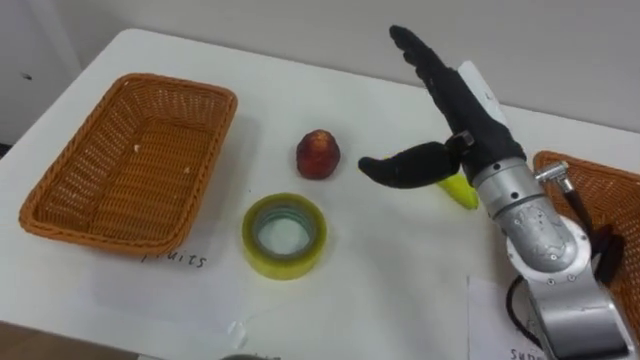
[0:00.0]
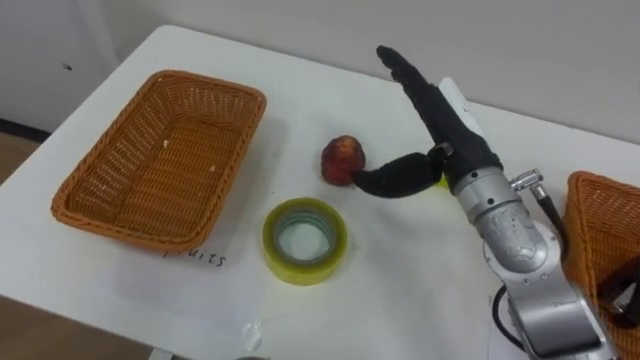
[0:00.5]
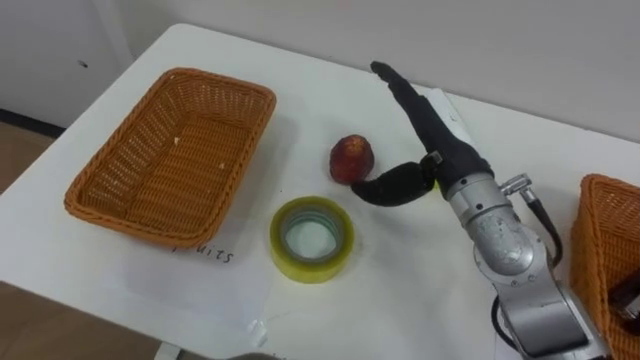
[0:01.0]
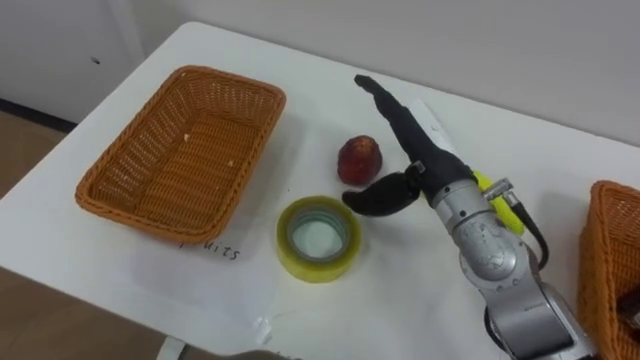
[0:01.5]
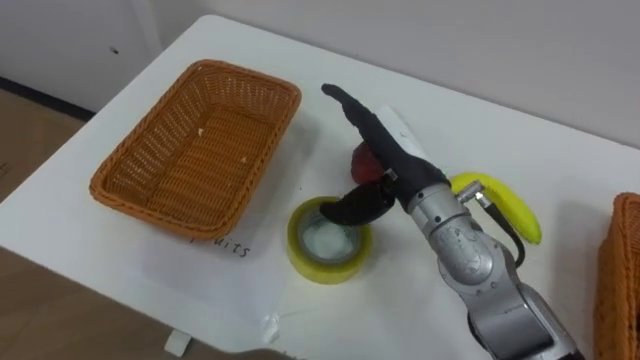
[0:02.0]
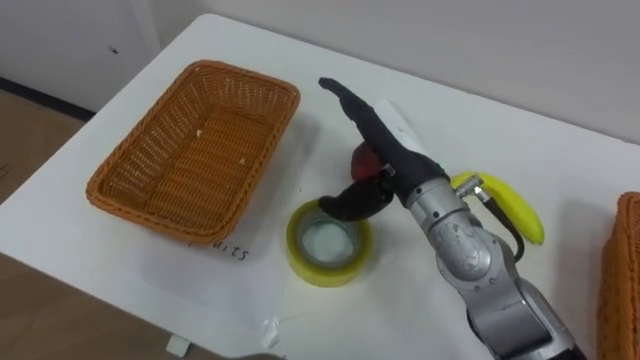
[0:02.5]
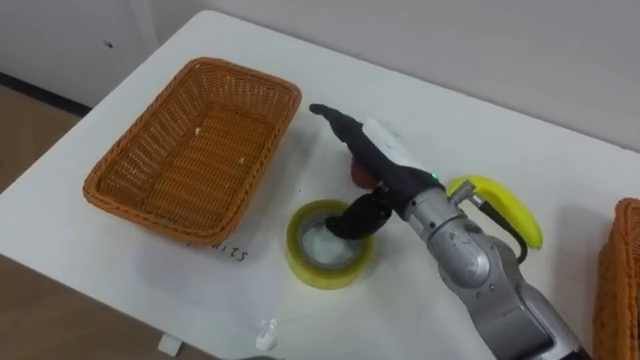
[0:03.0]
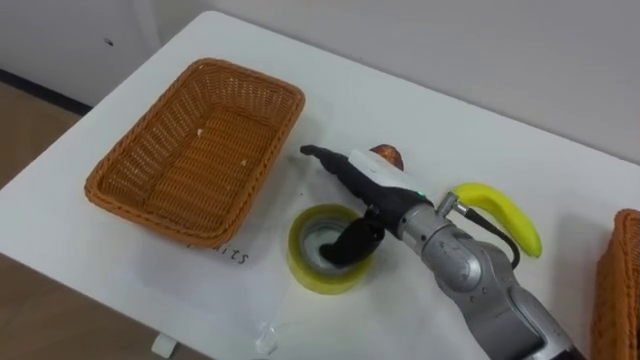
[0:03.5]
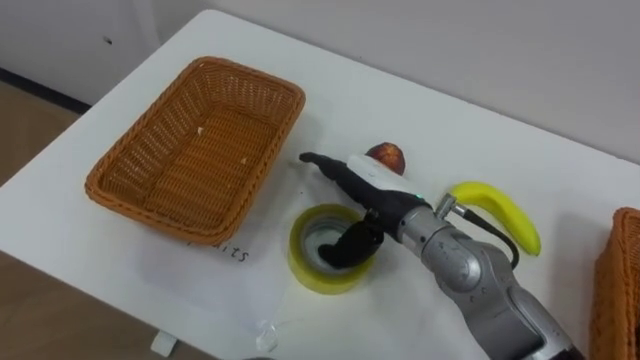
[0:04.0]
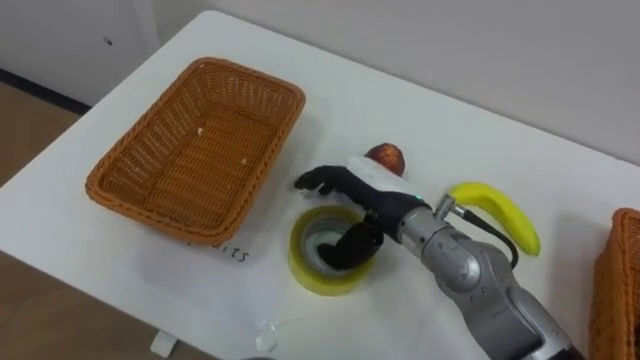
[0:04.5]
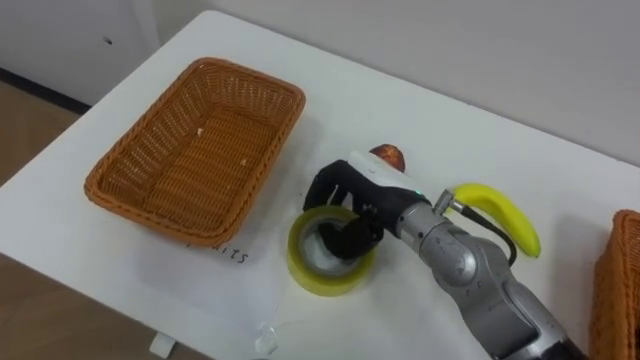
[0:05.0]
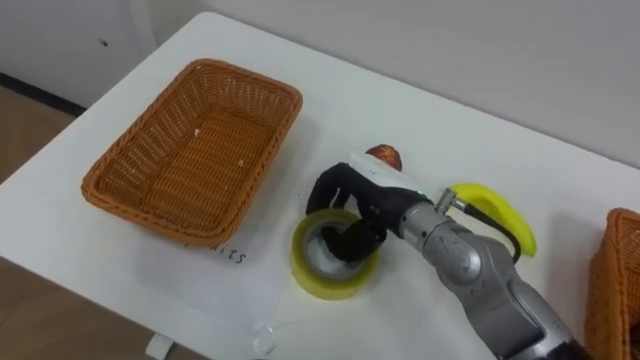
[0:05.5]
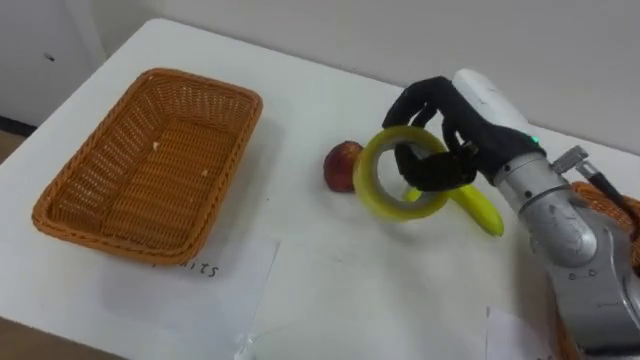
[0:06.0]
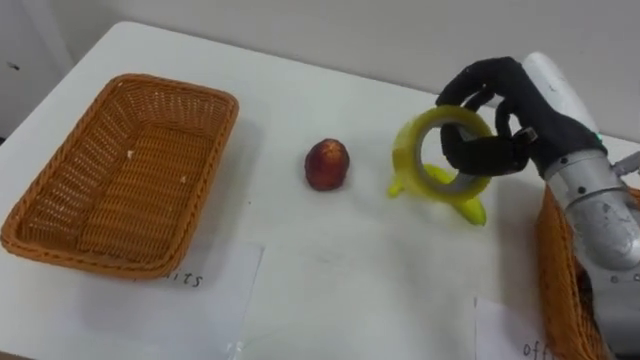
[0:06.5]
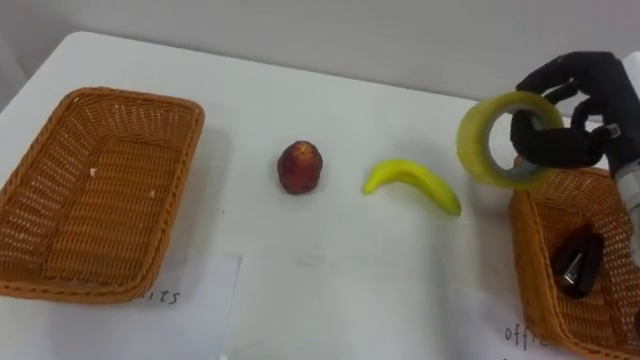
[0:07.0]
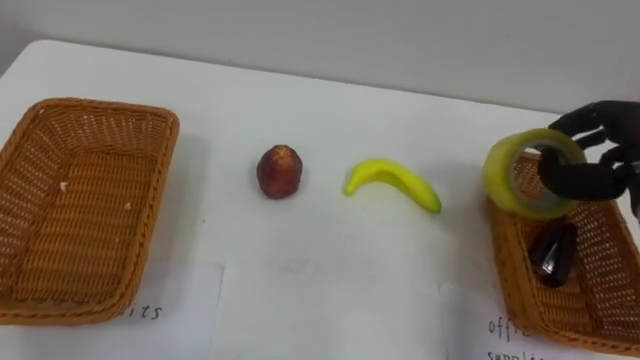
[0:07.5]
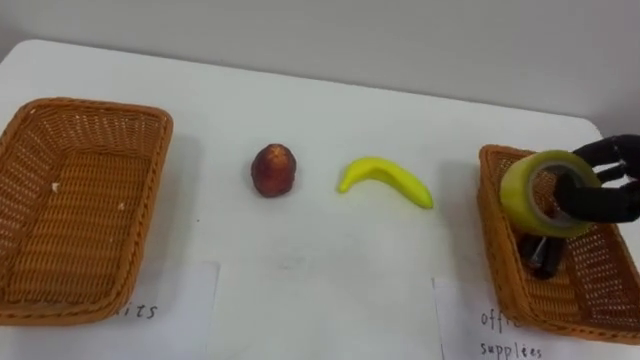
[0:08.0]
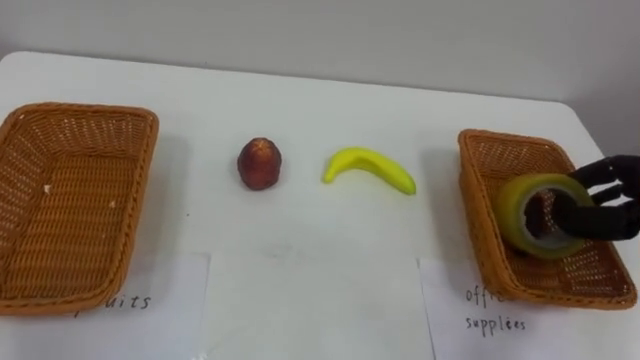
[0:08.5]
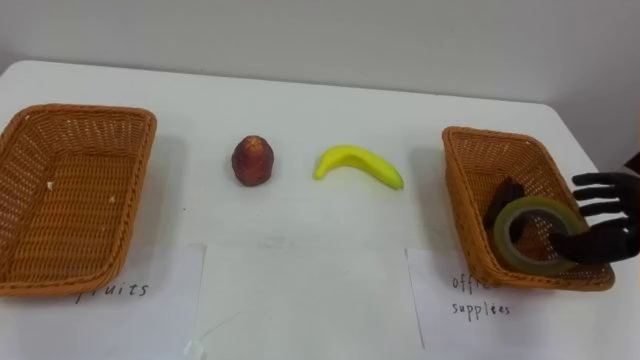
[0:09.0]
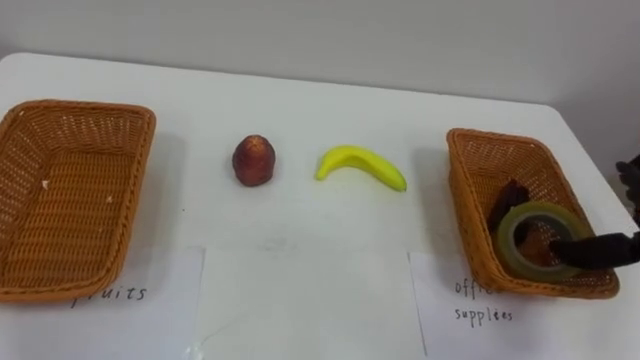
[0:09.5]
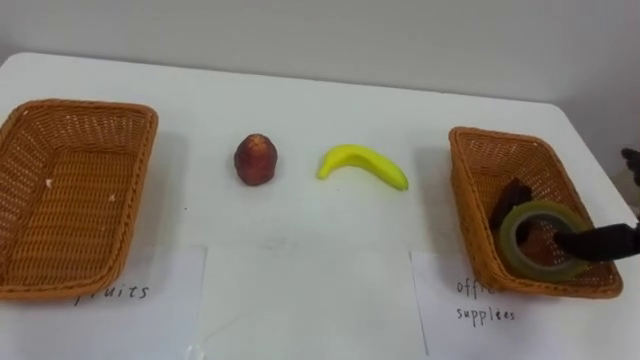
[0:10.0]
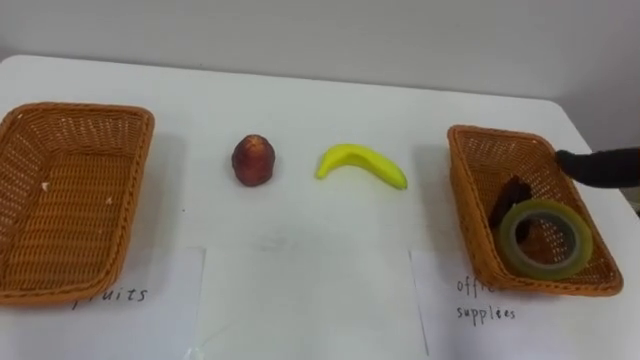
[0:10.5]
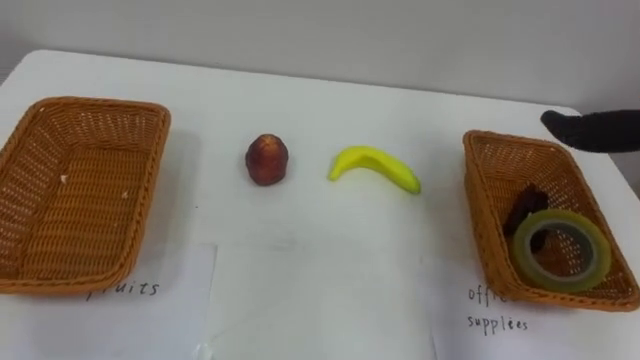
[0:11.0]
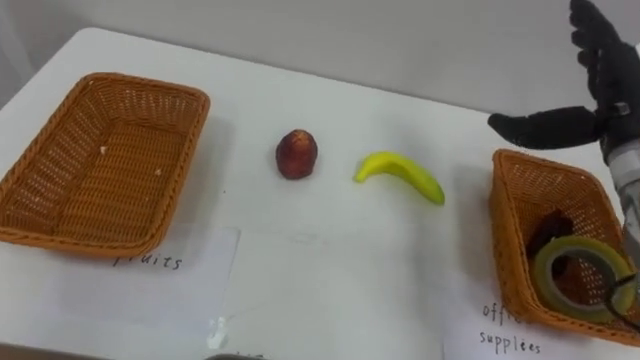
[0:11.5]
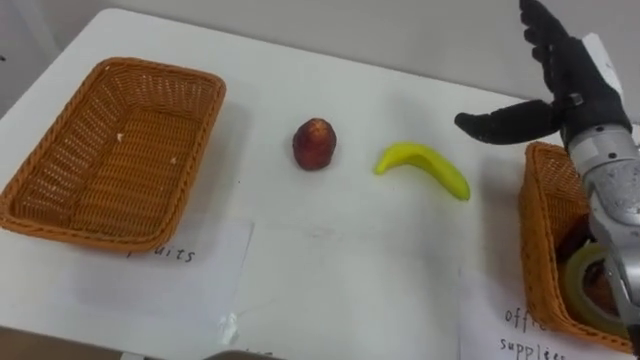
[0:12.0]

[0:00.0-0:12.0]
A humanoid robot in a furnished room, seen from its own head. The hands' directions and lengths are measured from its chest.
Task of the whole recording: Separate the items on the table and place them into the two baskets.
0:00.0 to 0:02.0: The right hand shifts some 10 cm to the left and downward.
0:02.0 to 0:04.0: The right hand moves downward, some 5 cm.
0:04.0 to 0:06.0: The right hand heads to the right and upward, covering about 15 cm, and closes its fingers.

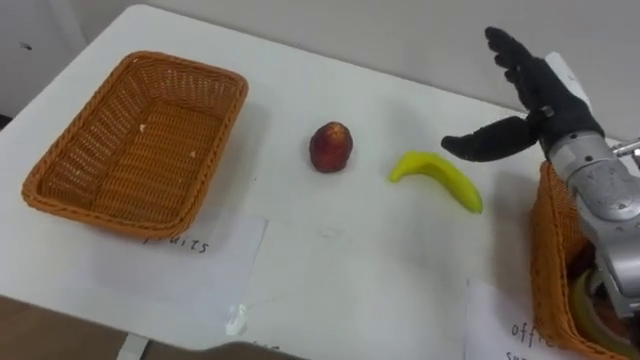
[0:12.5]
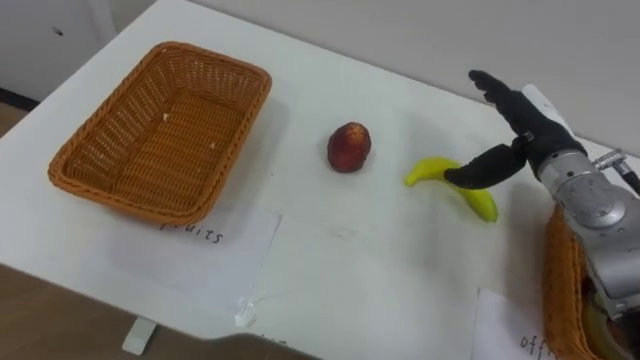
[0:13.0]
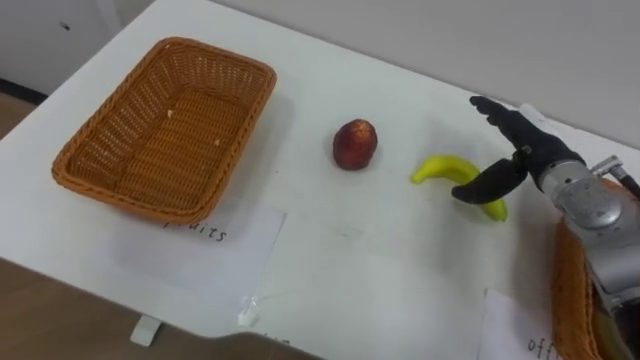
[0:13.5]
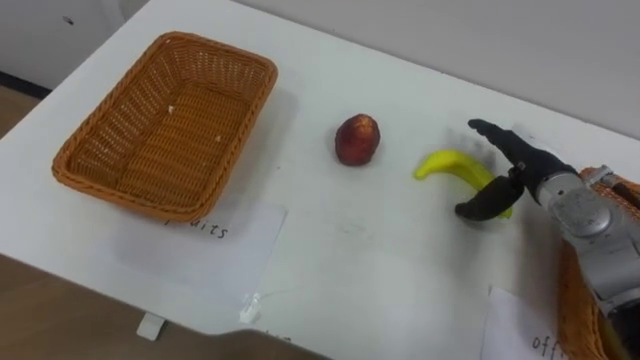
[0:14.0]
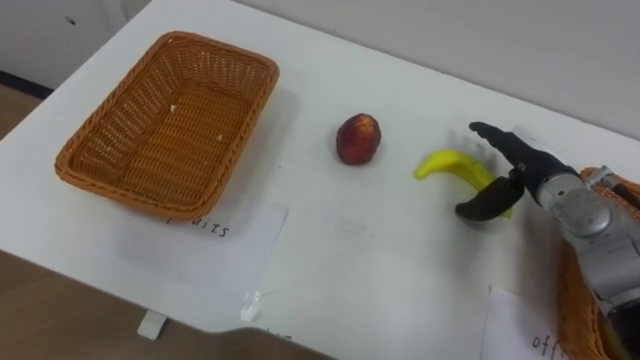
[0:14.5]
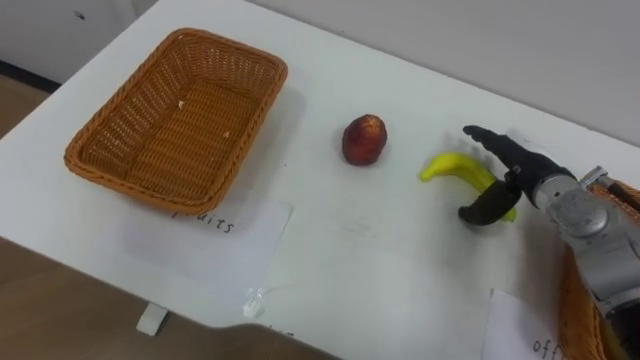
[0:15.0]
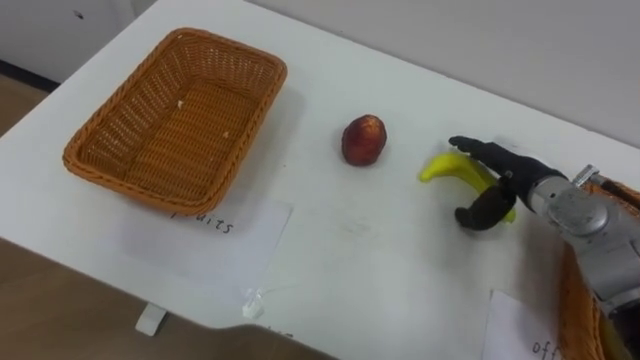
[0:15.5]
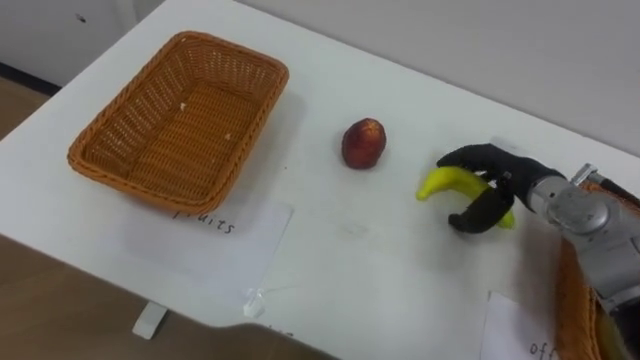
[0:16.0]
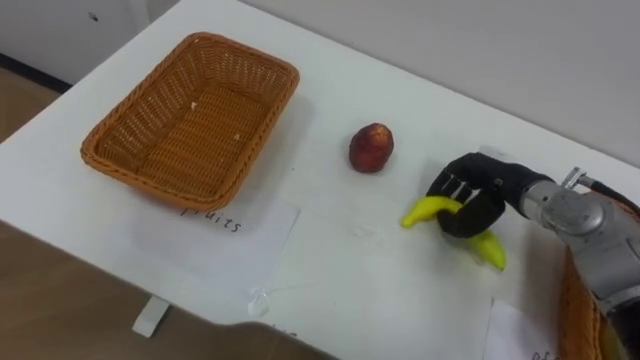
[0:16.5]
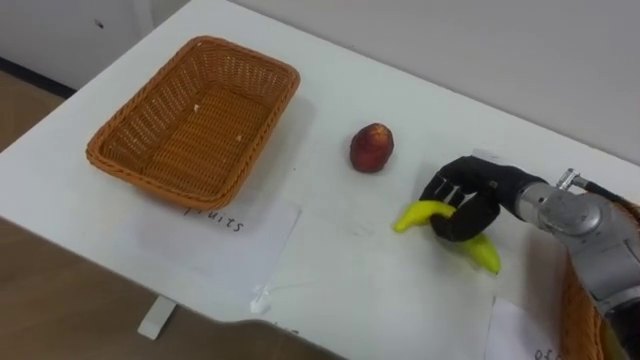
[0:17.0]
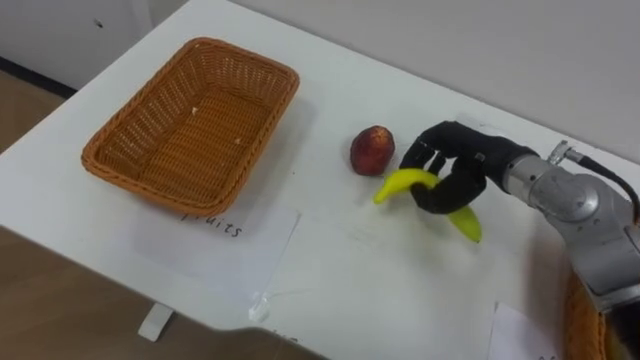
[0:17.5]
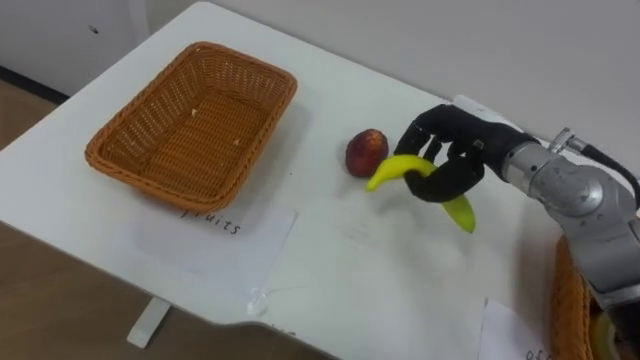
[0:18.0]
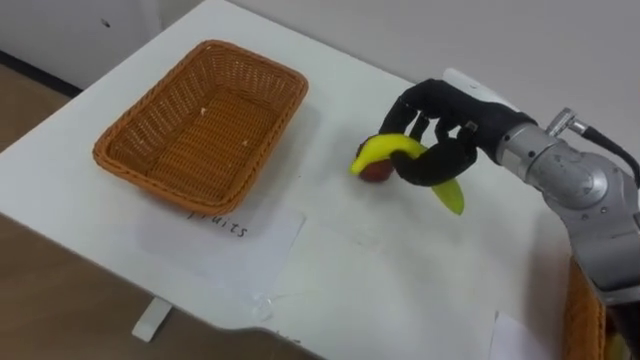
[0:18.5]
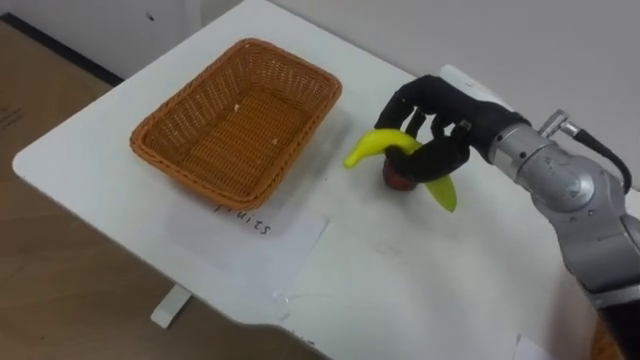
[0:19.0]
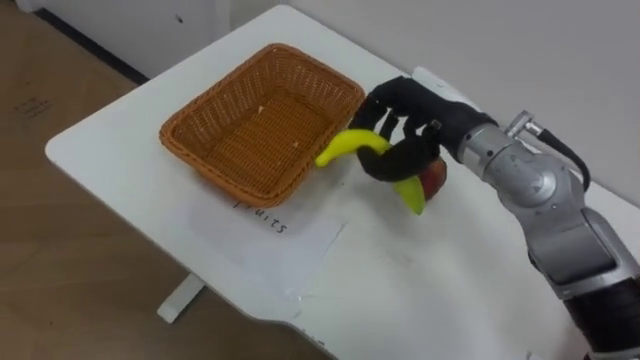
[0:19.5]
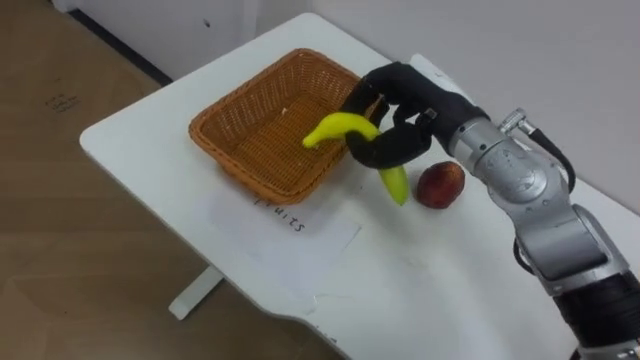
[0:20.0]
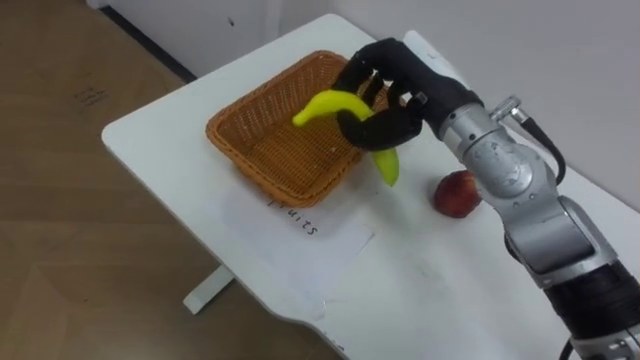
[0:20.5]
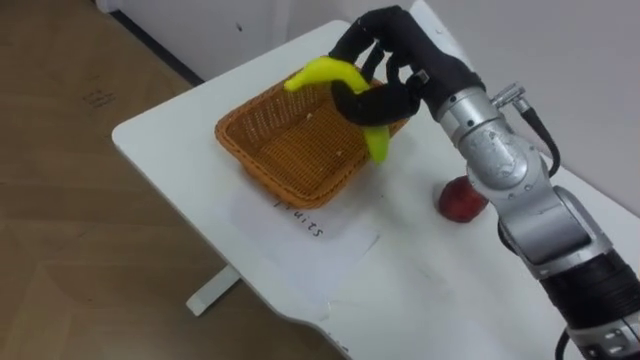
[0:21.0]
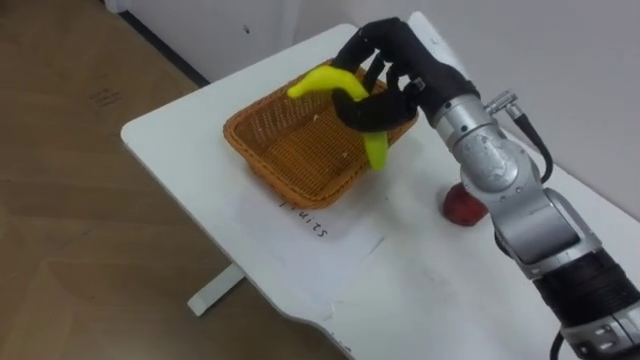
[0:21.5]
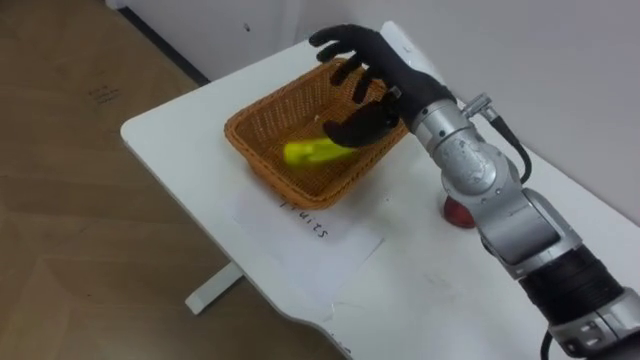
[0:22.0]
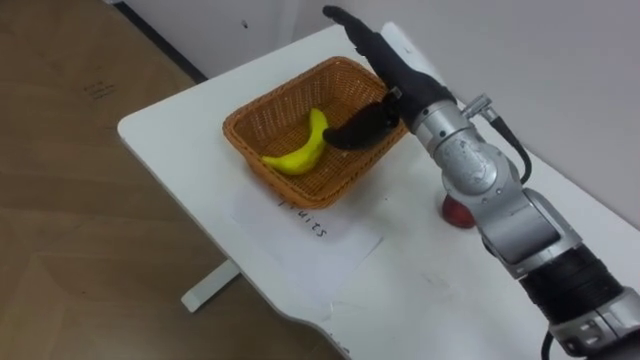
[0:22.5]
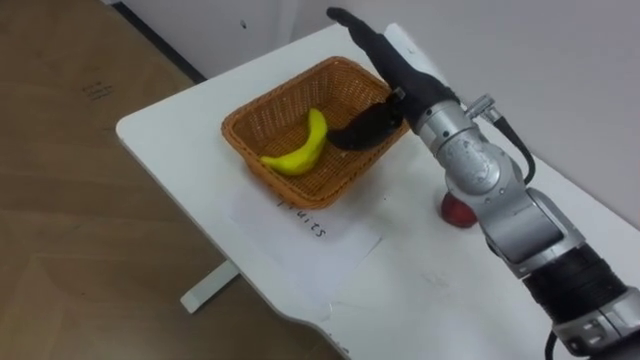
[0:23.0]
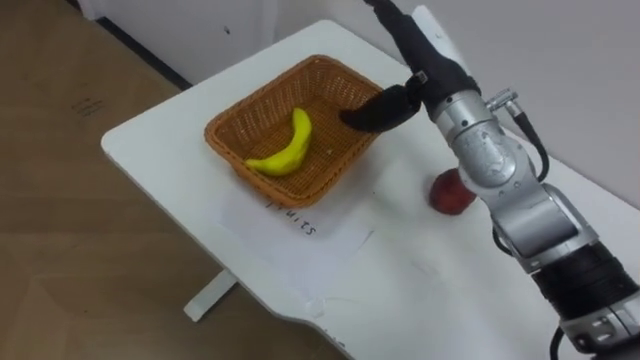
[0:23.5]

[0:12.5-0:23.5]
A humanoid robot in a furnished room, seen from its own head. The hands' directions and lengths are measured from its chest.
Task of the whole recording: Separate the items on the table and place them into the two baskets.
0:12.5 to 0:14.5: The right hand goes about 10 cm downward.
0:16.0 to 0:18.0: The right hand goes about 10 cm upward and to the left, and closes.
0:18.0 to 0:20.0: The right hand shifts roughly 5 cm to the left.
0:21.5 to 0:23.5: The right hand opens up.
